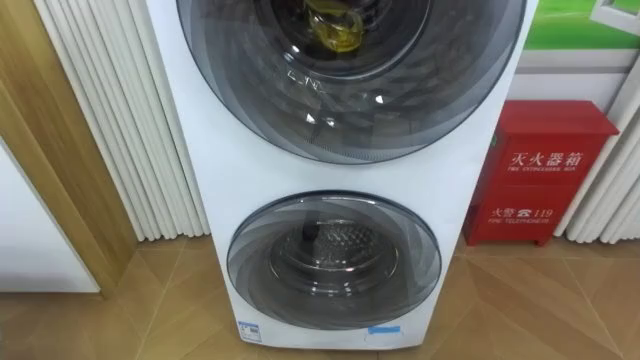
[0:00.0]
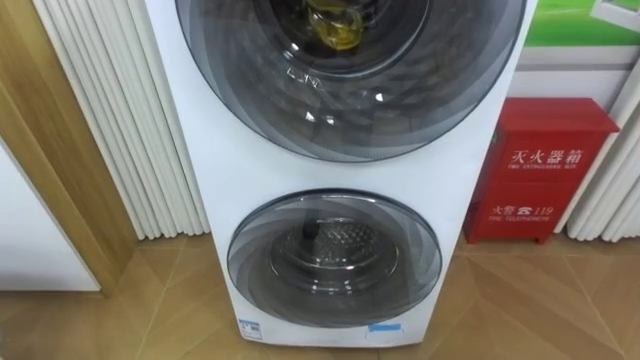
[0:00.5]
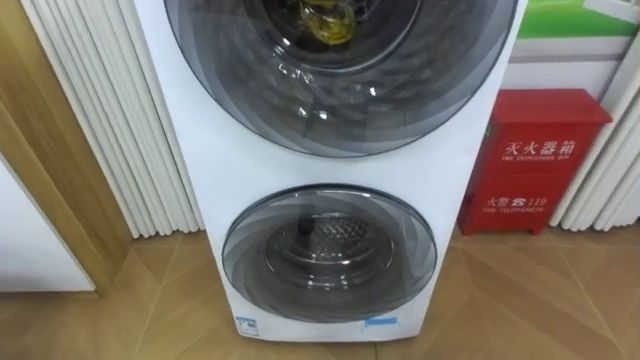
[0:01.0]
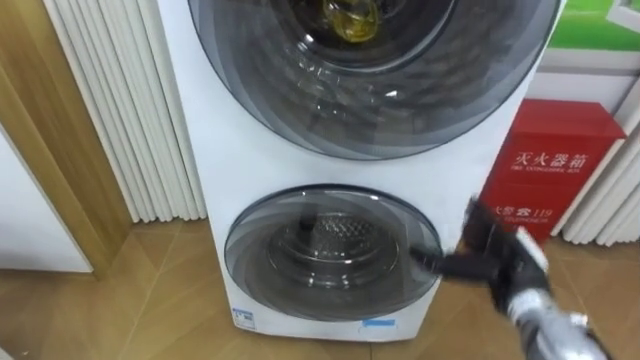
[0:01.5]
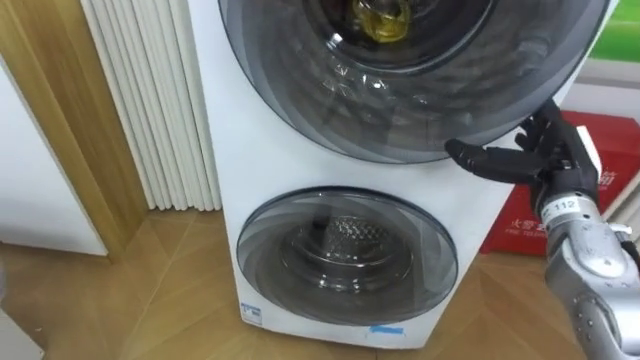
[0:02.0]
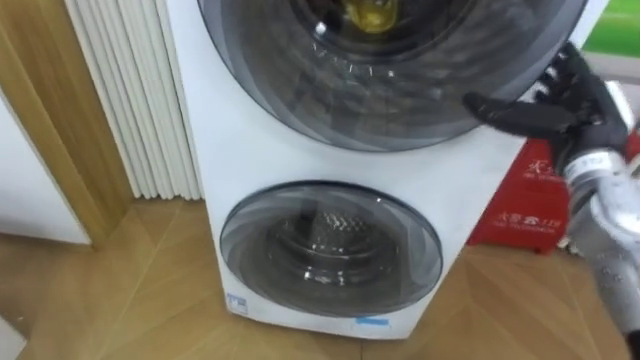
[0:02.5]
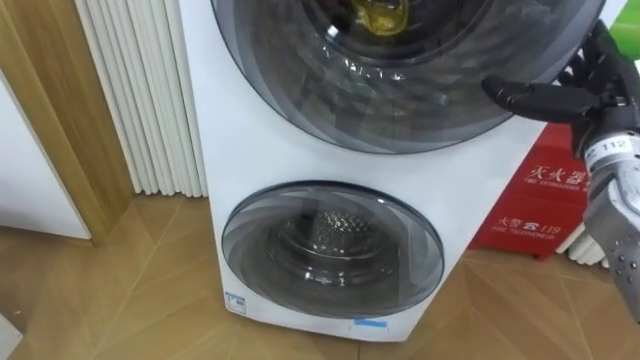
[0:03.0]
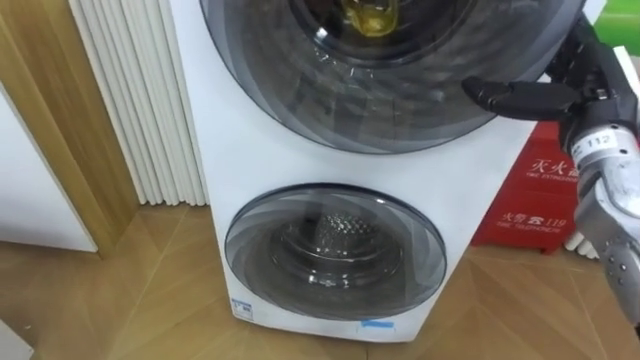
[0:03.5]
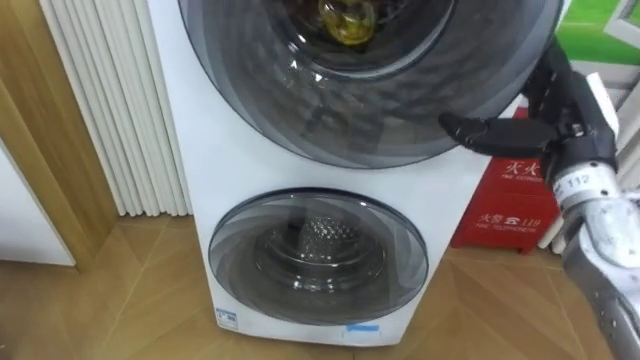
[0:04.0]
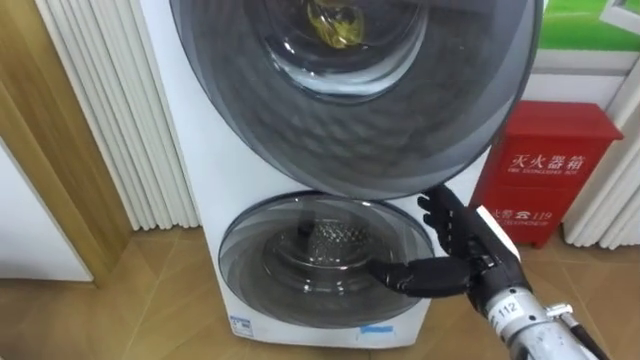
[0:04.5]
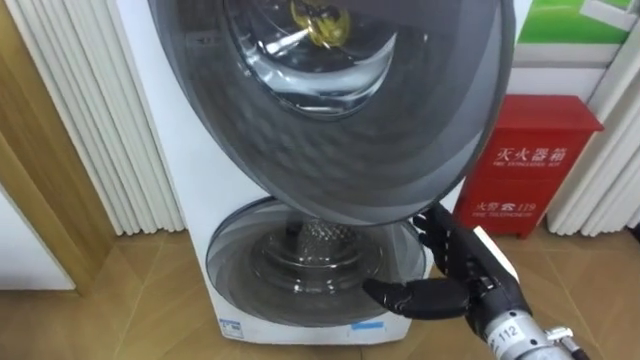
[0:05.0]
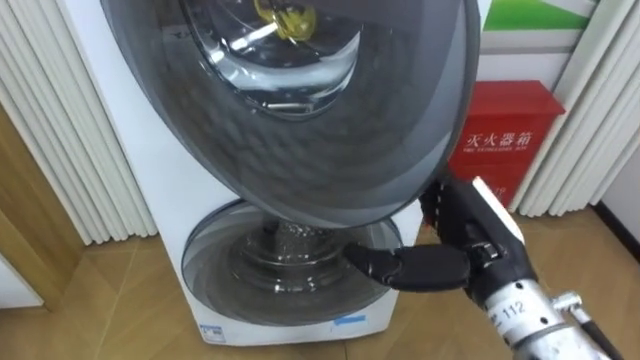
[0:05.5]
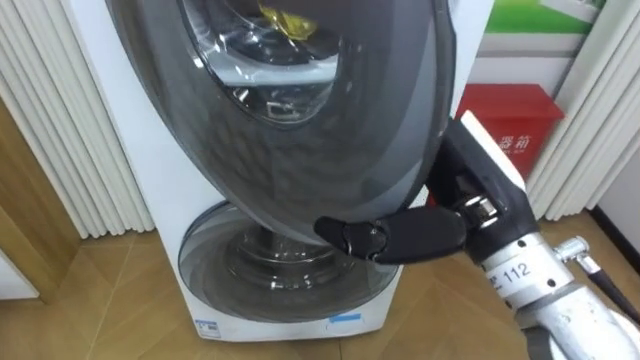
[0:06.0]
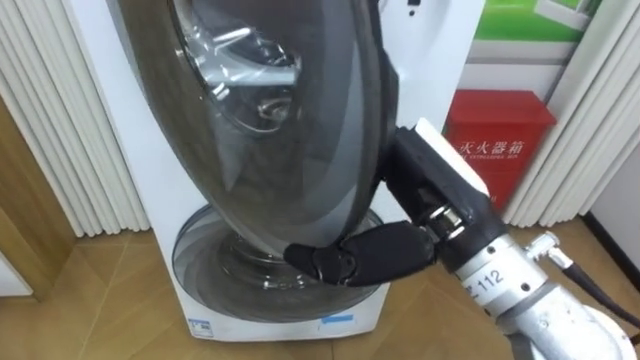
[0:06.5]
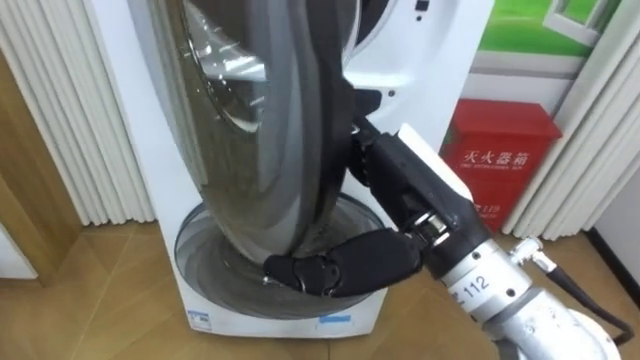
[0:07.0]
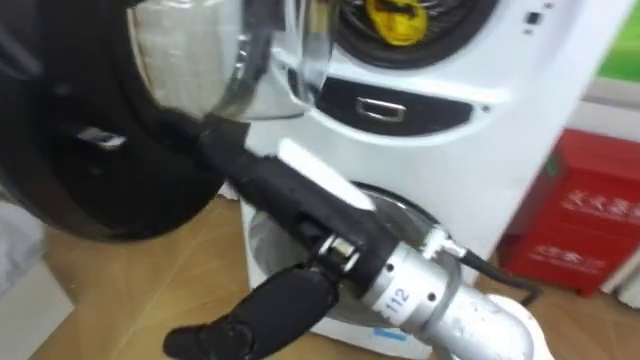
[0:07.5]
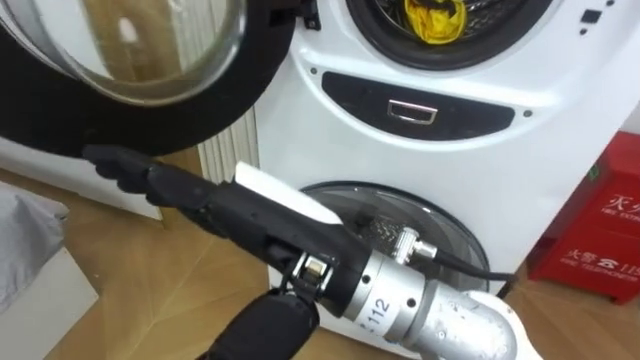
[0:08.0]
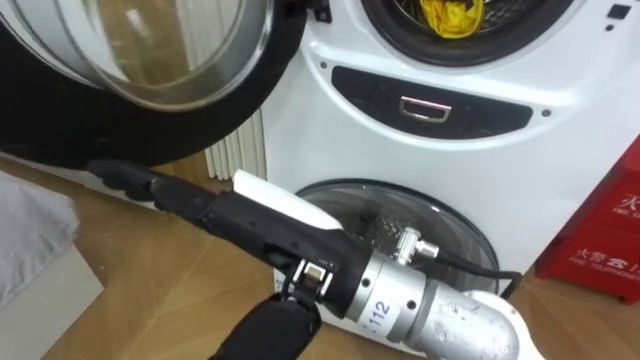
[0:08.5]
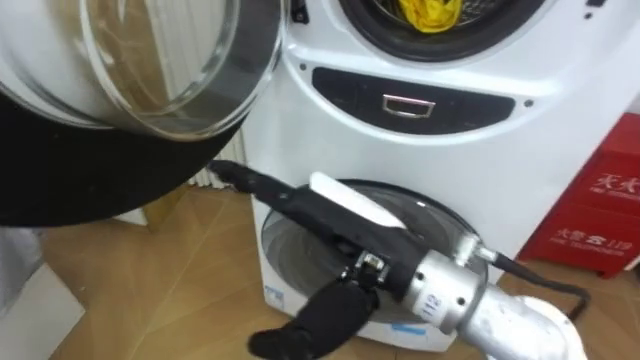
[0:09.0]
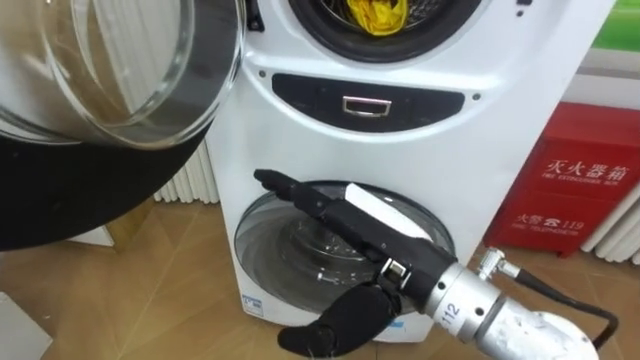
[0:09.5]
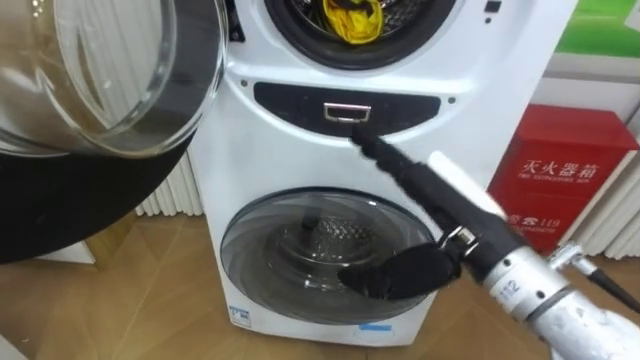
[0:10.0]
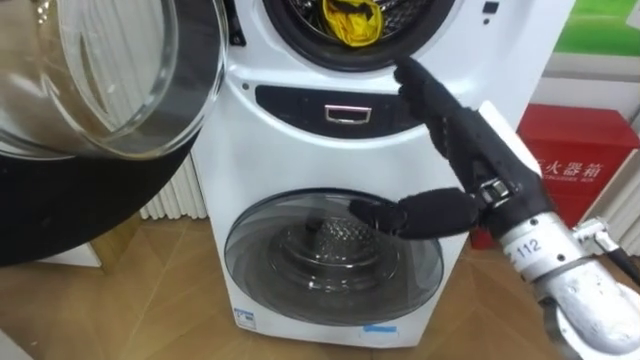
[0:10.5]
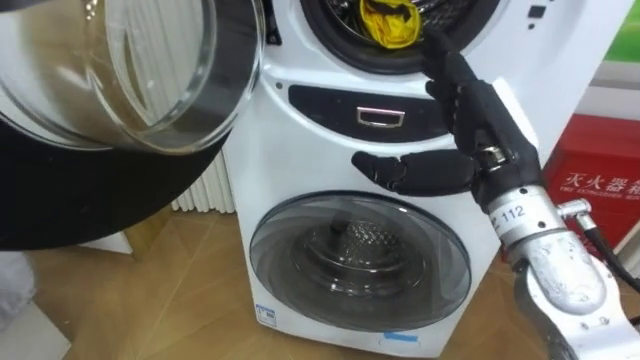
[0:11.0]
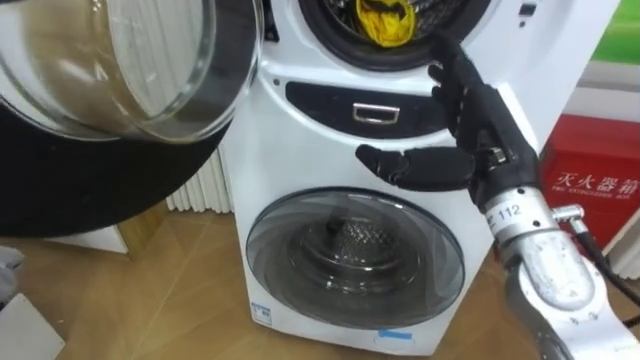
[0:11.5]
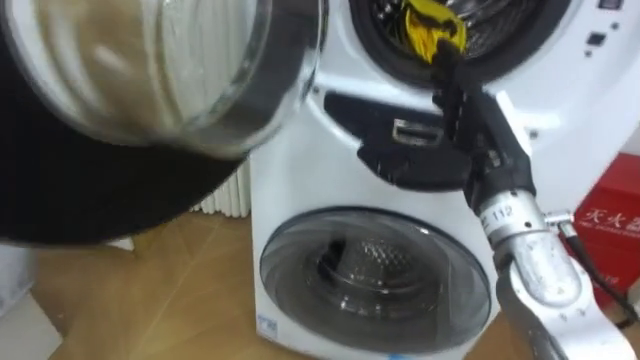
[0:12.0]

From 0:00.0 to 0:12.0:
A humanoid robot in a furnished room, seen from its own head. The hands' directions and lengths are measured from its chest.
Task of the whole recording: Open the washing machine door, take out the yellow clothes, place them in the box on the right, and close the washing machine door.
From 0:02.0 to 0:04.0: The right hand shifts about 5 cm upward.
From 0:04.0 to 0:06.0: The right hand shifts approximately 15 cm to the left and backward, and goes downward and returns, approximately 15 cm each way.
From 0:06.0 to 0:08.0: The right hand heads to the left and backward, covering some 15 cm.
From 0:08.0 to 0:10.0: The right hand heads to the right and forward, covering roughly 15 cm.
From 0:10.0 to 0:12.0: The right hand shifts approximately 5 cm forward.

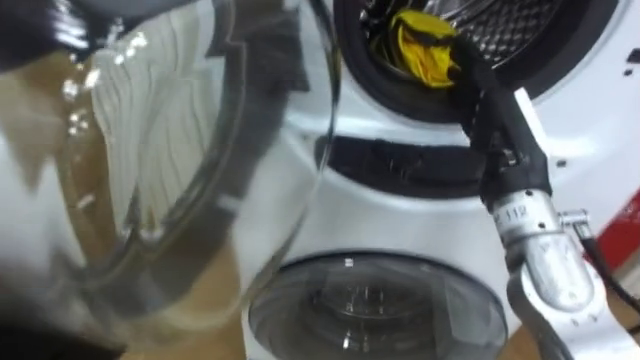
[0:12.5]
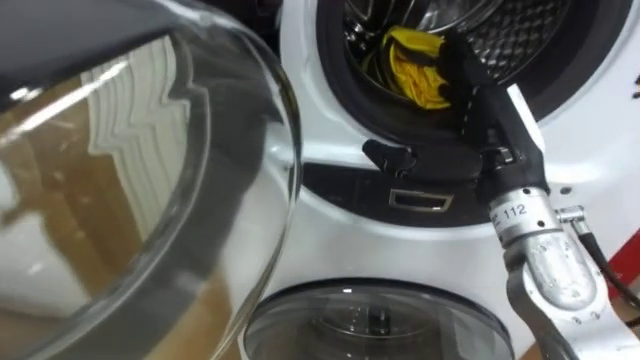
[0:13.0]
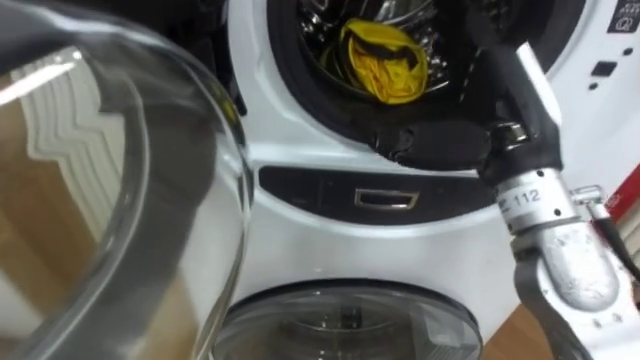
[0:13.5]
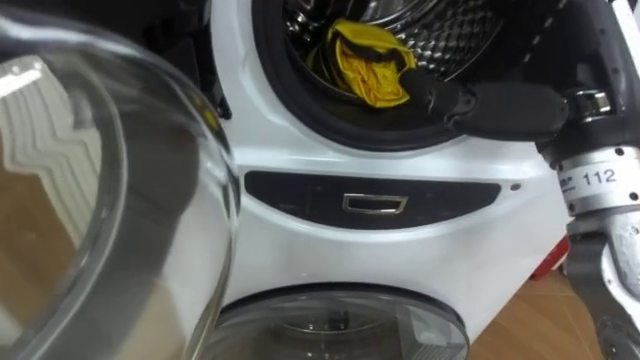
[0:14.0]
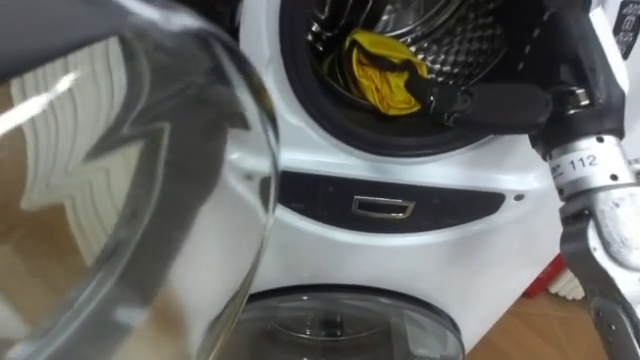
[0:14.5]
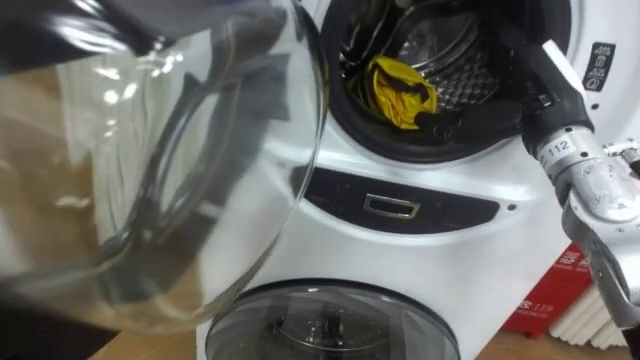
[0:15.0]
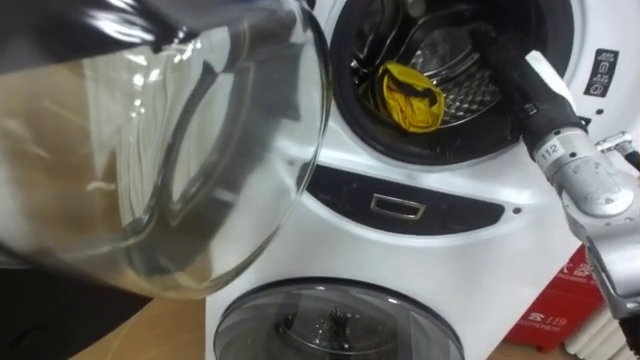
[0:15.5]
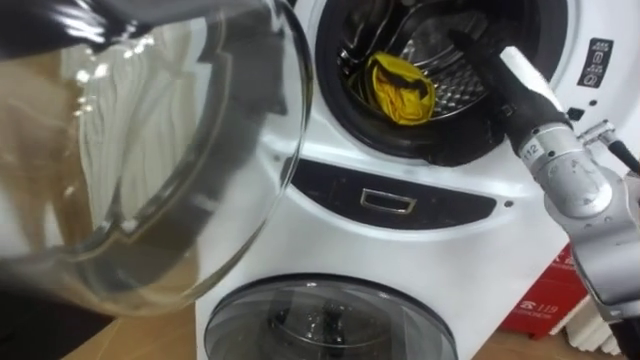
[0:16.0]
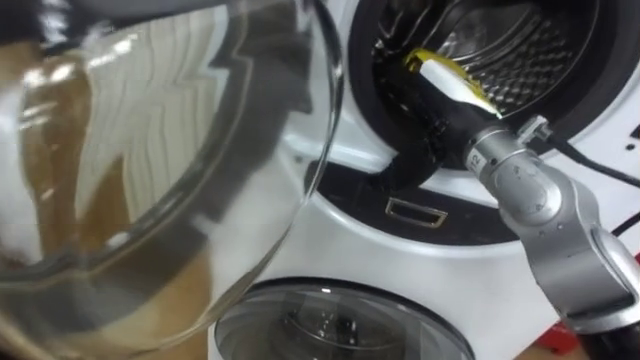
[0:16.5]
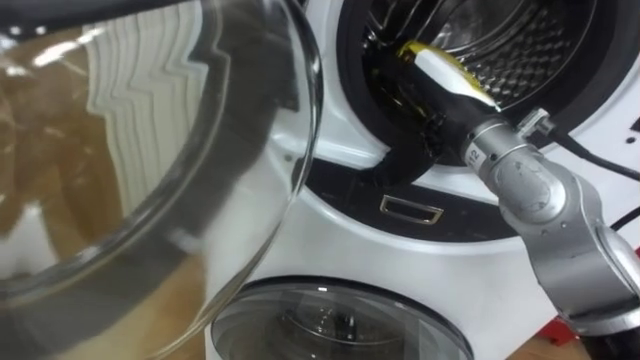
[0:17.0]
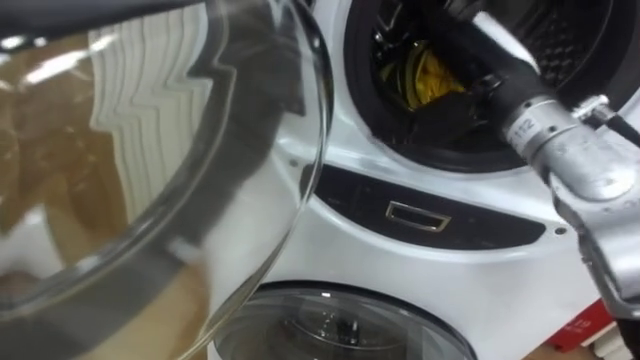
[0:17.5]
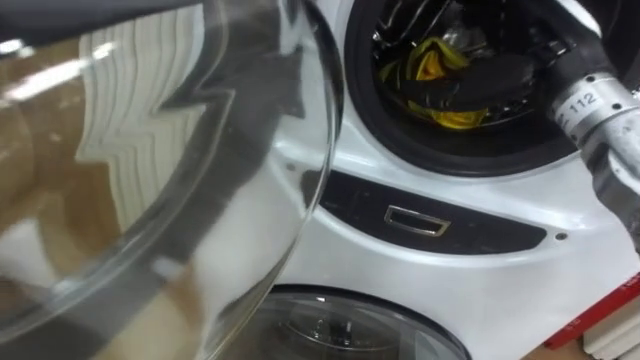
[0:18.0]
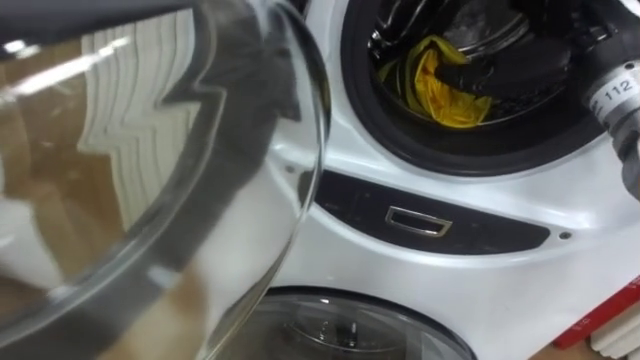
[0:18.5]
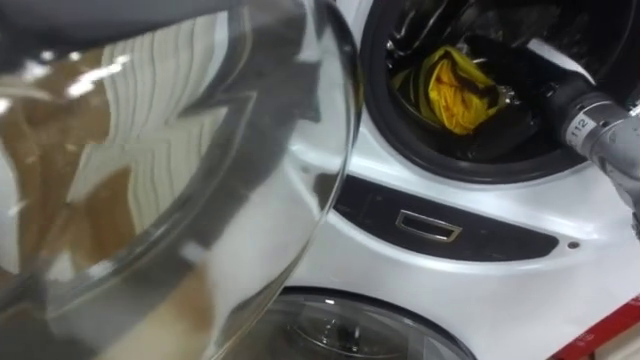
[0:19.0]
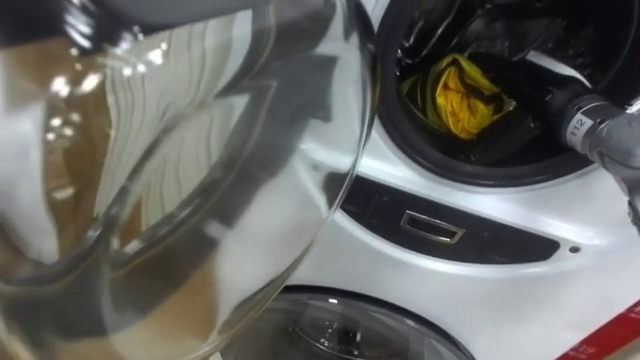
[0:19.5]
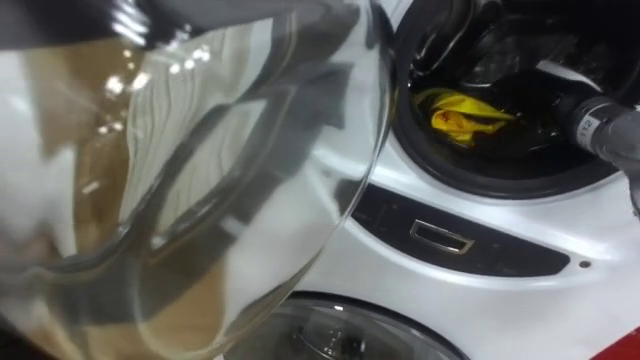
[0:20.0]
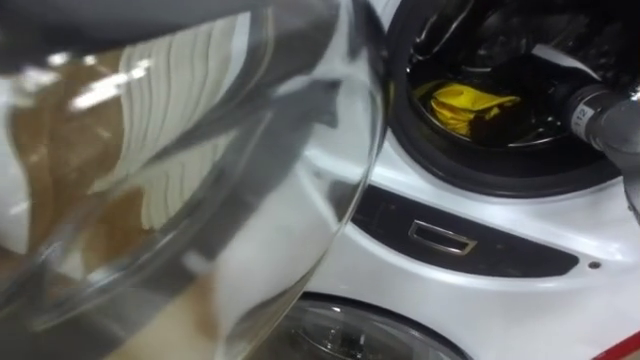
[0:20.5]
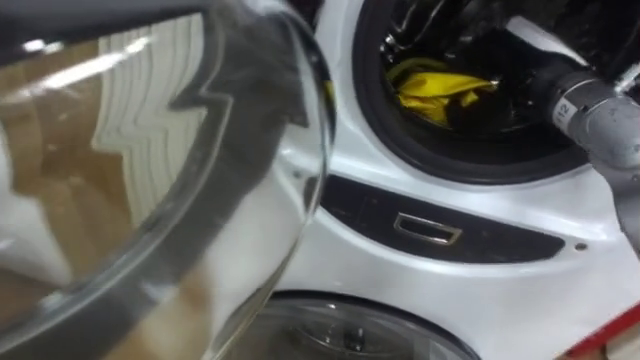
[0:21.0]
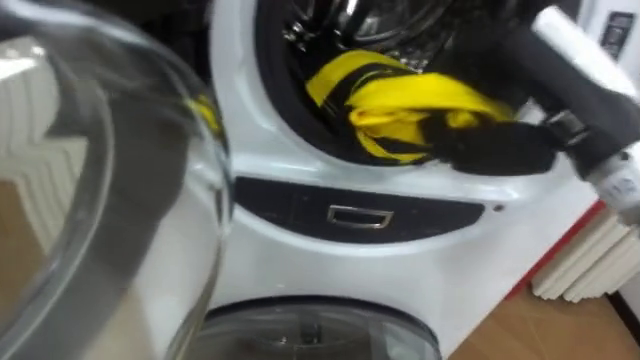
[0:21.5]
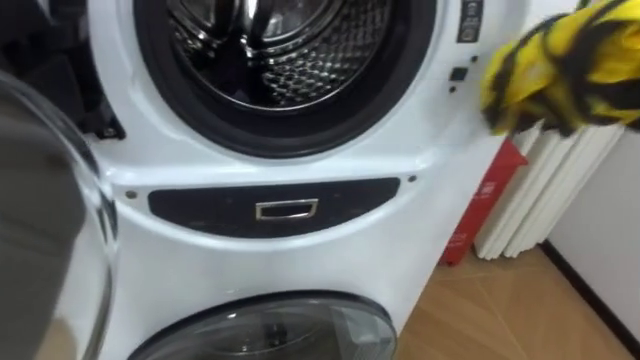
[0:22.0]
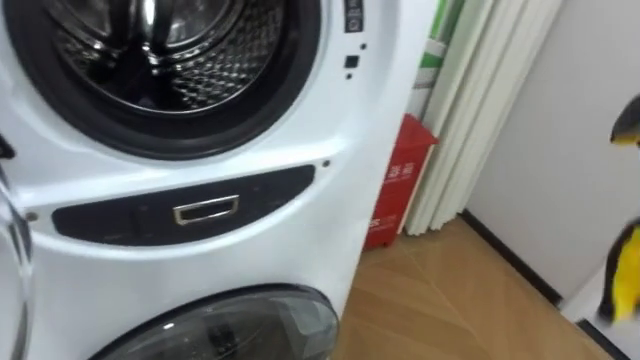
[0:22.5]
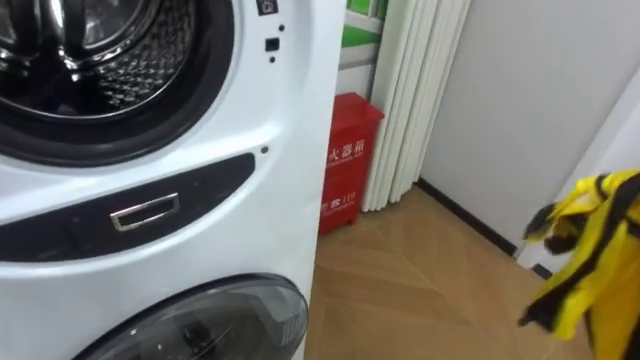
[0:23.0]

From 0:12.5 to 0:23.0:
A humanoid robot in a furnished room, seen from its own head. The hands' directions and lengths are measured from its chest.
Task of the whole recording: Open the washing machine door, take out the yellow clothes, place them in the box on the right, and close the washing machine door.
From 0:12.5 to 0:14.5: The right hand shifts approximately 5 cm upward.
From 0:14.5 to 0:16.5: The right hand moves to the left, roughly 10 cm.
From 0:16.5 to 0:19.0: The right hand is displaced to the right by some 10 cm.
From 0:19.0 to 0:21.0: The right hand closes.
